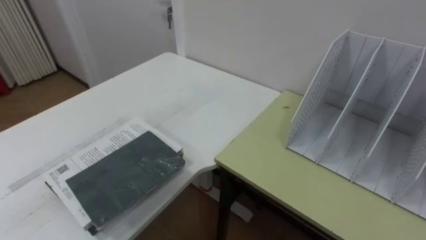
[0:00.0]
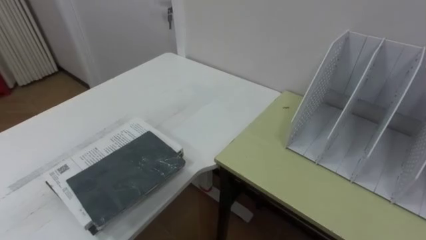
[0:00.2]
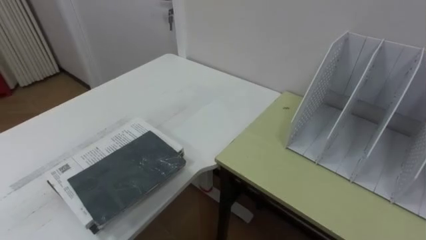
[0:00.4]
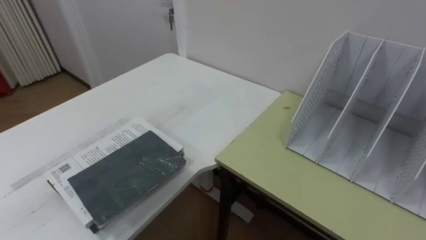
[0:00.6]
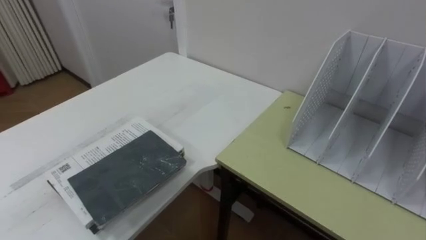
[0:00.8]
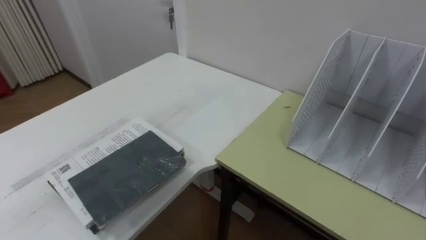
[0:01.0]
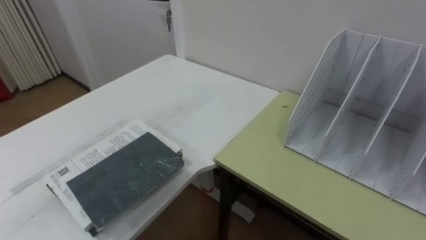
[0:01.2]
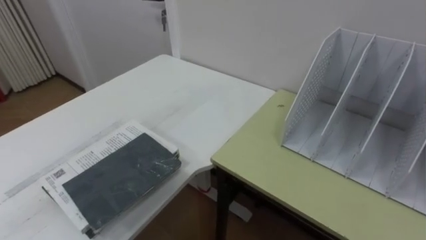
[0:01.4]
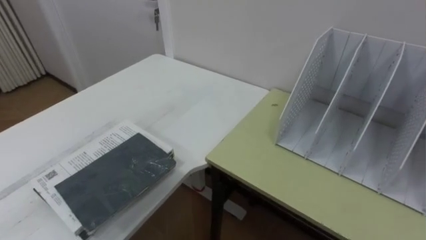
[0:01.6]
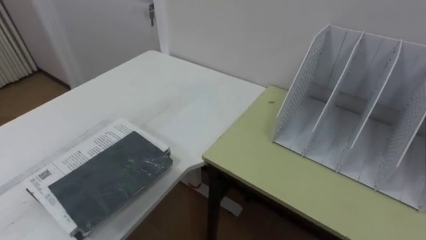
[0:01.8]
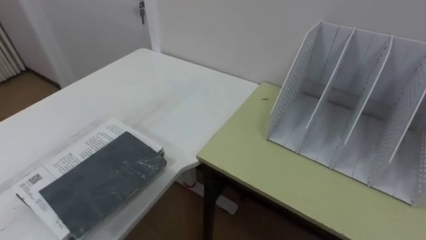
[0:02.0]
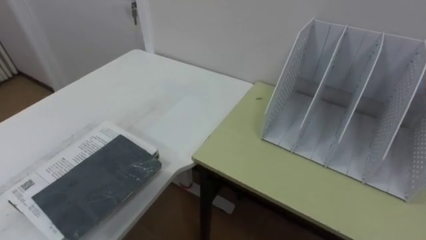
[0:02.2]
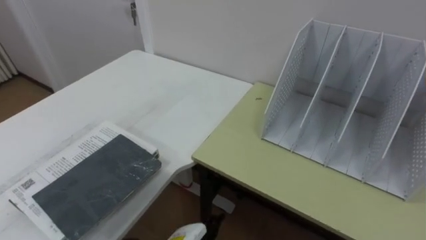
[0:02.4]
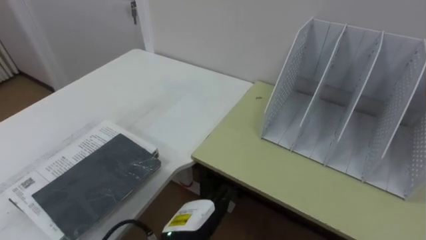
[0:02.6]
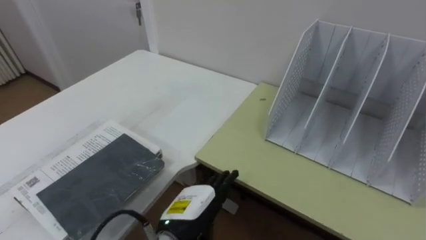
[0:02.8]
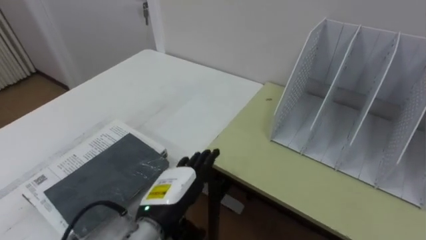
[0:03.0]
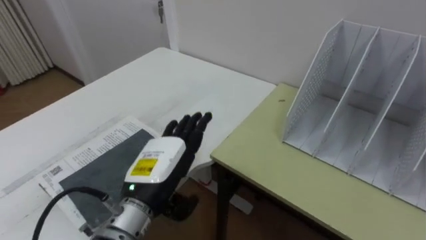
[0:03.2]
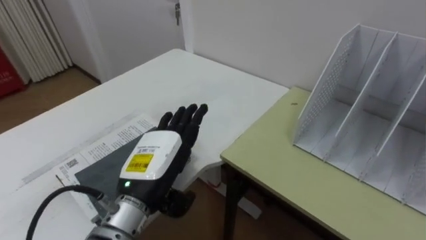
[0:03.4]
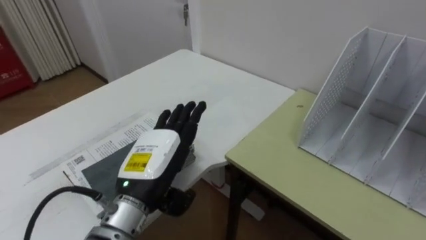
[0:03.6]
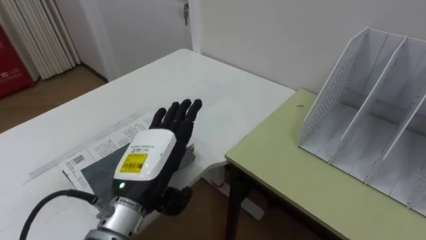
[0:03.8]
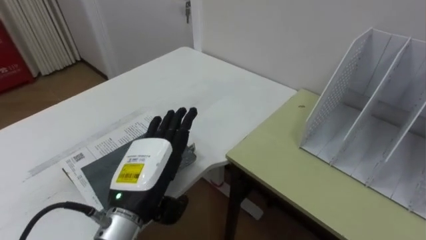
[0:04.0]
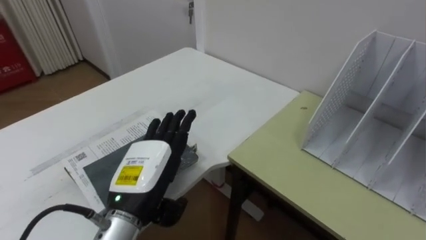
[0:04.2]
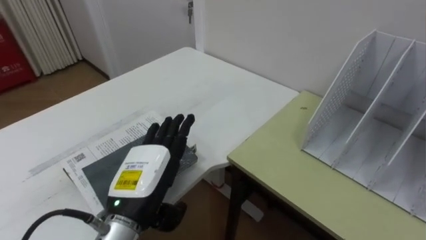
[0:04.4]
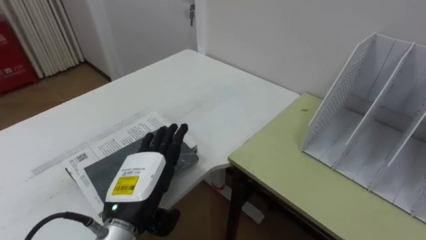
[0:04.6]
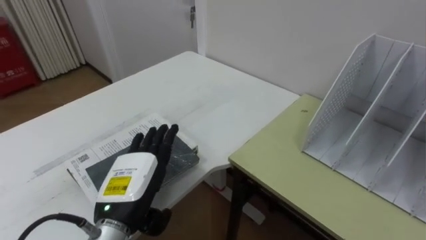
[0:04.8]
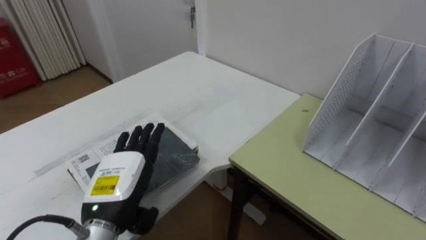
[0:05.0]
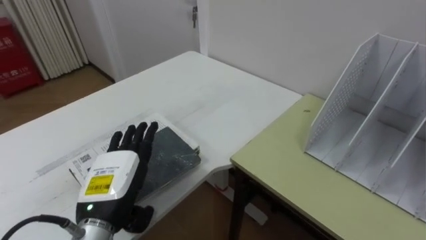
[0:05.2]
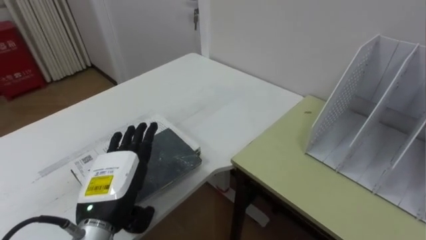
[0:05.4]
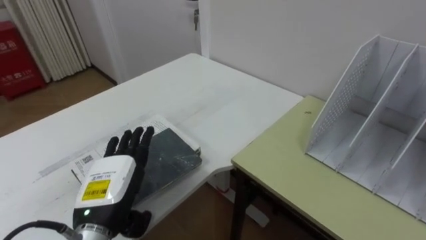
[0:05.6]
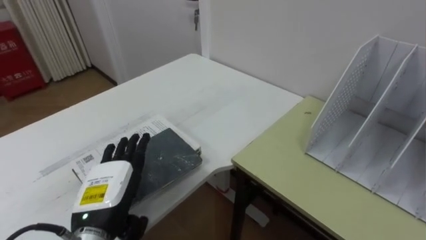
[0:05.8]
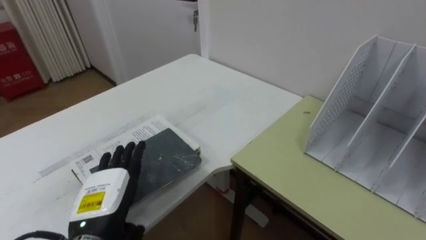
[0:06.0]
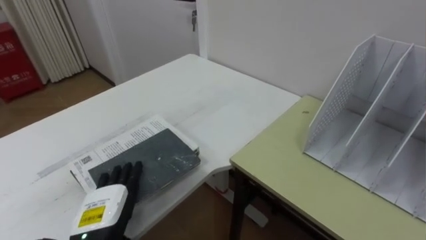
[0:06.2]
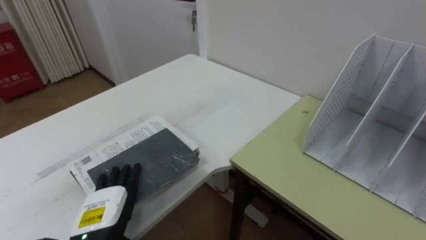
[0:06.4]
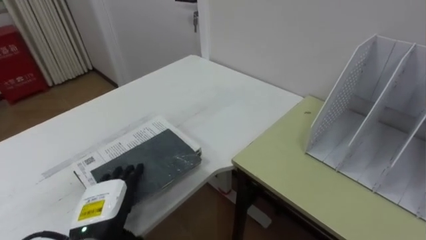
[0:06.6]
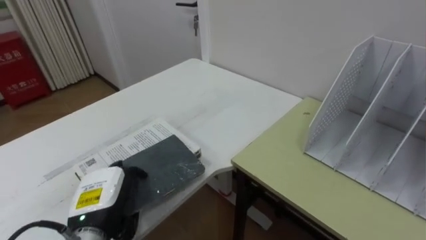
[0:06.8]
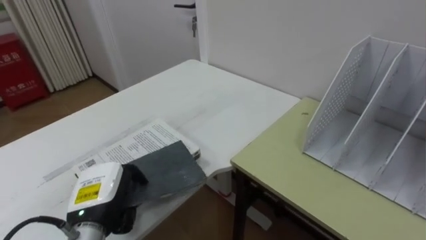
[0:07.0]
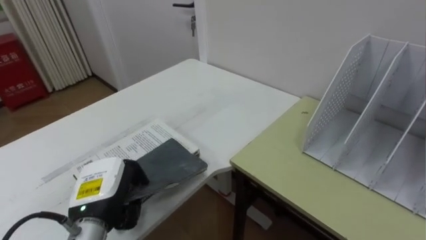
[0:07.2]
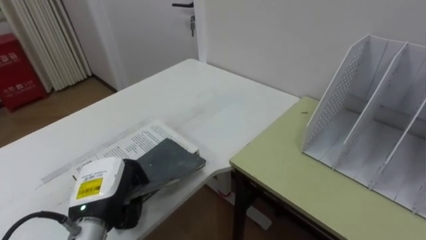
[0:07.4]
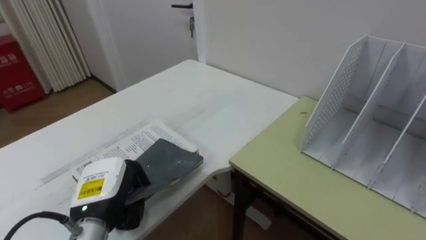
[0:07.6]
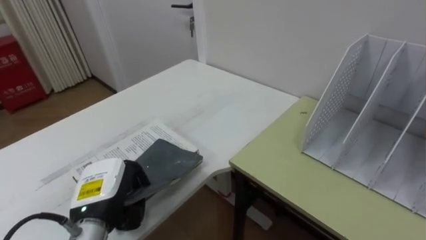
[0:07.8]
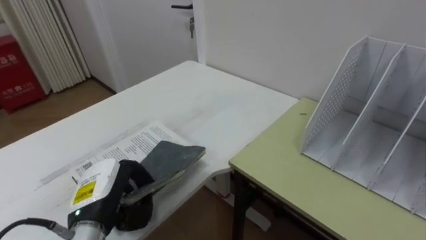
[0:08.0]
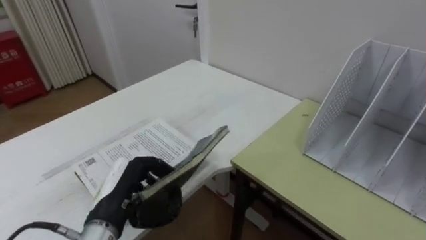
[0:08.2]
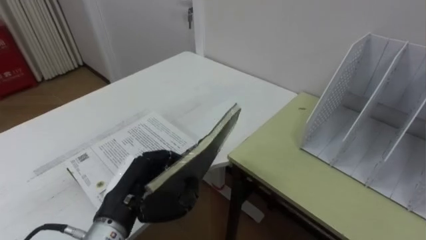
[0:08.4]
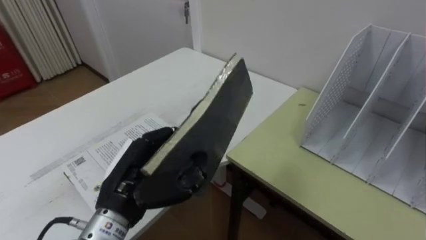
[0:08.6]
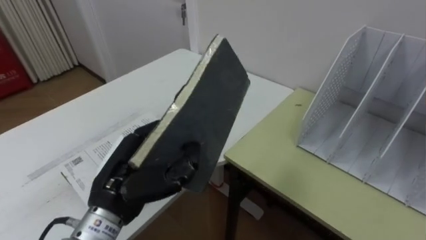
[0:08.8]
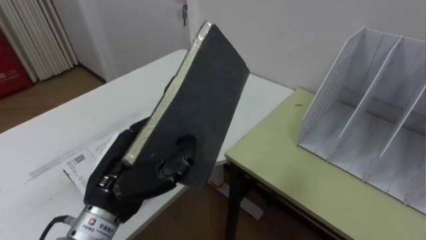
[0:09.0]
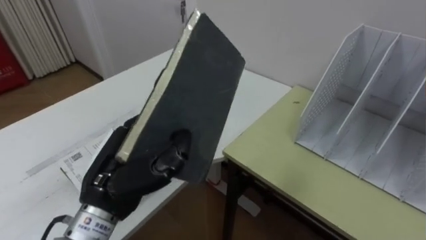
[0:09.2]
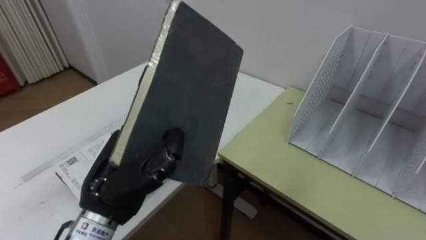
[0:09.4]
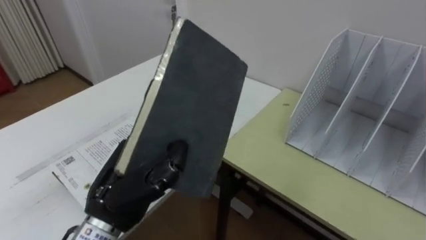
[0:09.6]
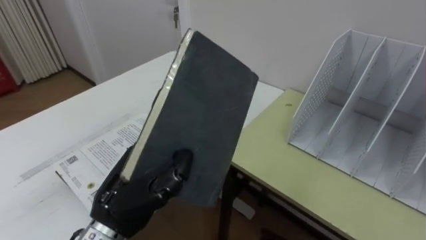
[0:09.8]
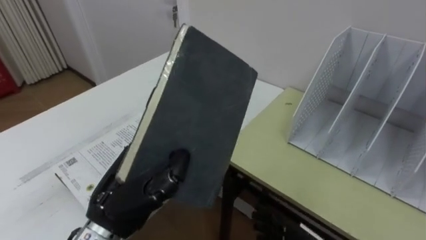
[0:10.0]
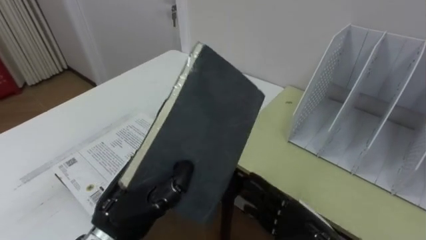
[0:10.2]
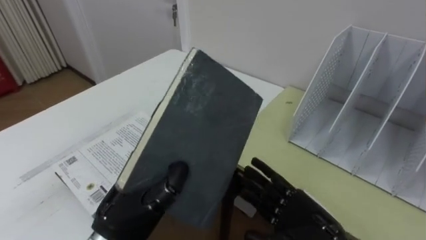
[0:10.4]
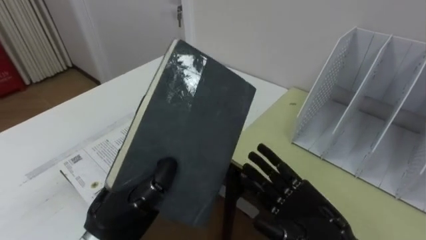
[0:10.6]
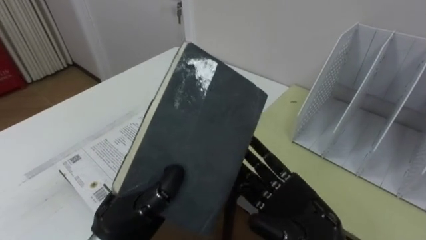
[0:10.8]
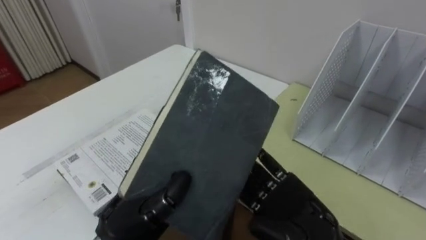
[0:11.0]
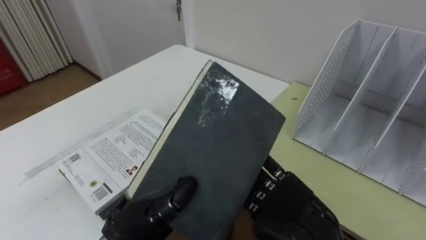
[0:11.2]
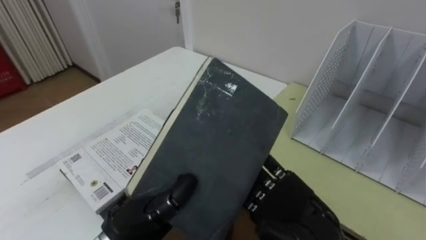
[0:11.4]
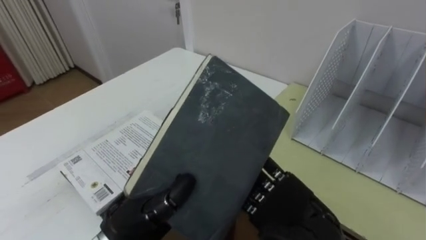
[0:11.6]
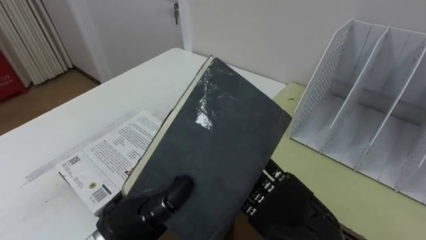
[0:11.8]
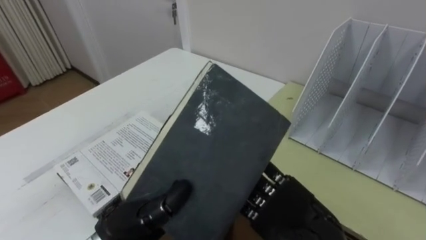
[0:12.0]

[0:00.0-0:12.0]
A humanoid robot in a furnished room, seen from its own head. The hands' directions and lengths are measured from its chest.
Task of the whole recording: Put the books on the table onto the bookshelf.
0:03.0 to 0:04.4: The left hand is displaced upward by roughly 5 cm.
0:04.4 to 0:06.0: The left hand shifts about 5 cm to the left.
0:06.0 to 0:07.6: The left hand closes.
0:07.6 to 0:09.0: The left hand goes about 10 cm upward and to the right.
0:10.4 to 0:12.0: The right hand moves upward, about 10 cm.

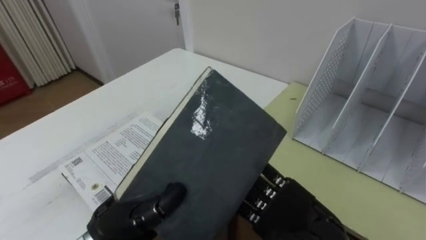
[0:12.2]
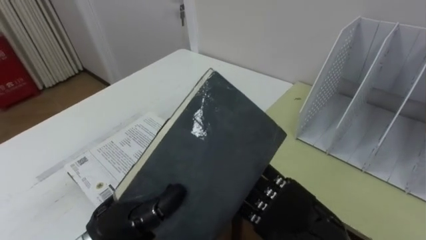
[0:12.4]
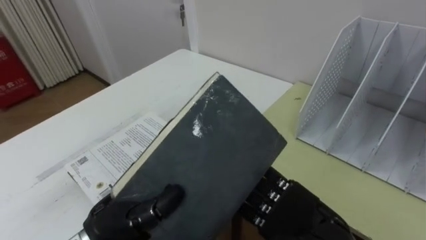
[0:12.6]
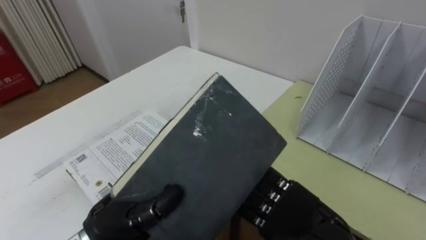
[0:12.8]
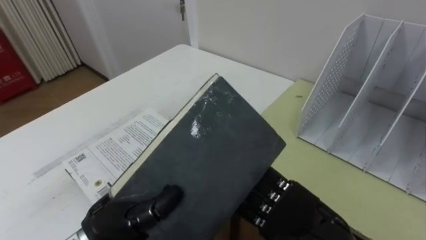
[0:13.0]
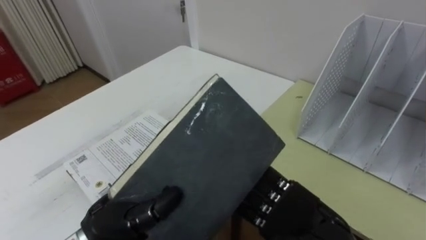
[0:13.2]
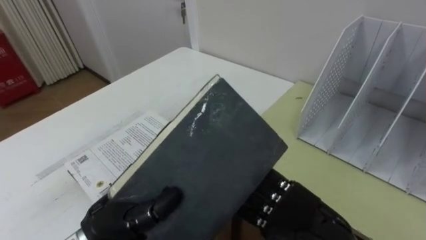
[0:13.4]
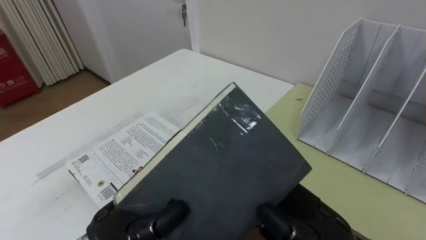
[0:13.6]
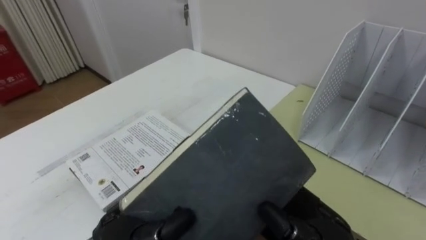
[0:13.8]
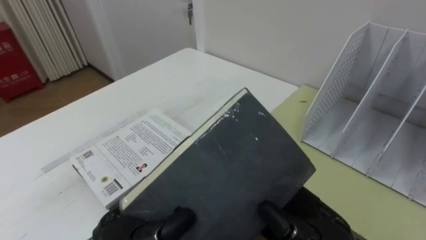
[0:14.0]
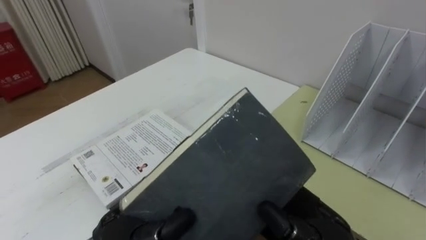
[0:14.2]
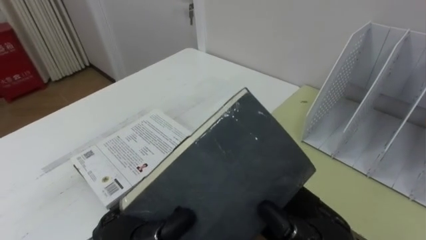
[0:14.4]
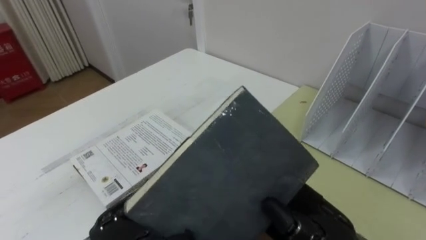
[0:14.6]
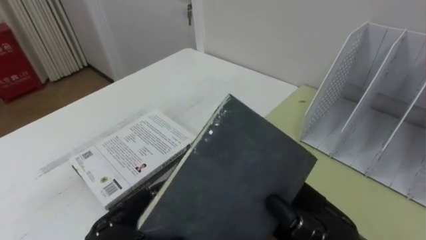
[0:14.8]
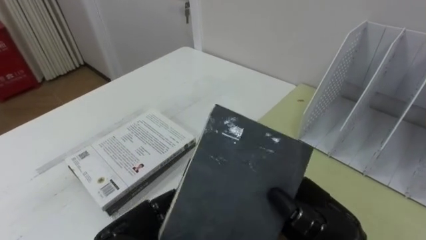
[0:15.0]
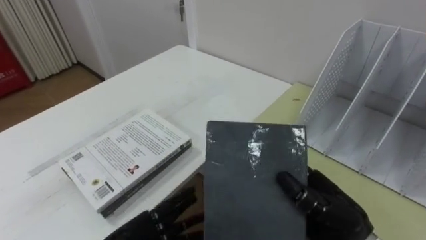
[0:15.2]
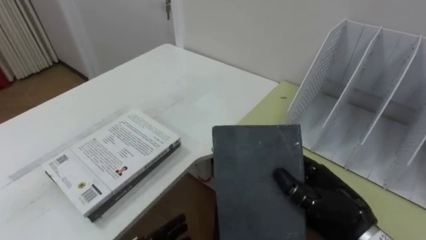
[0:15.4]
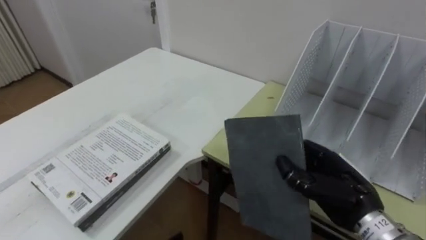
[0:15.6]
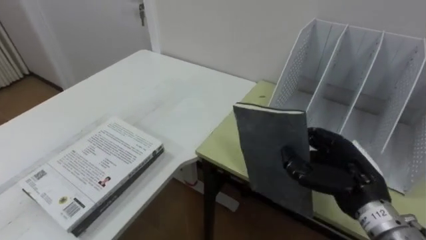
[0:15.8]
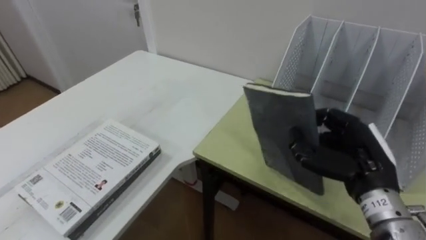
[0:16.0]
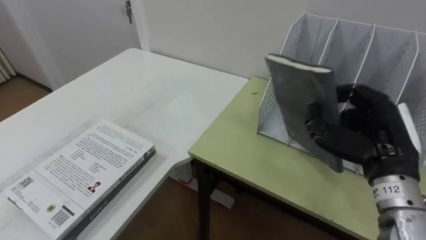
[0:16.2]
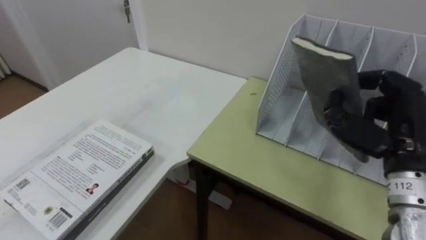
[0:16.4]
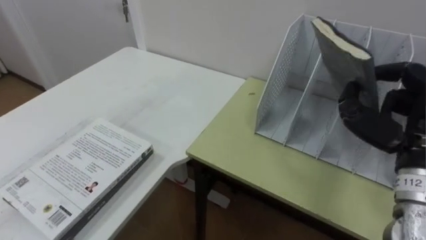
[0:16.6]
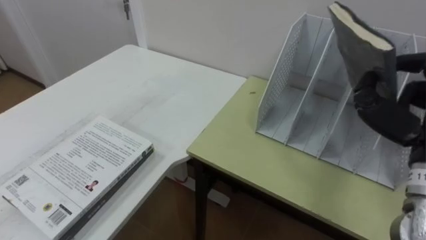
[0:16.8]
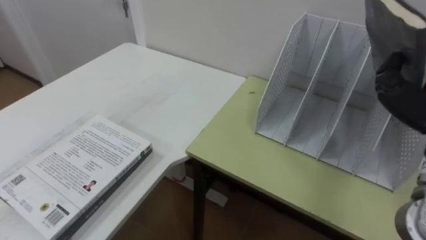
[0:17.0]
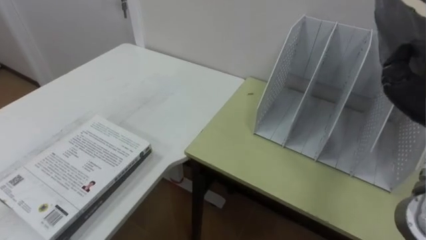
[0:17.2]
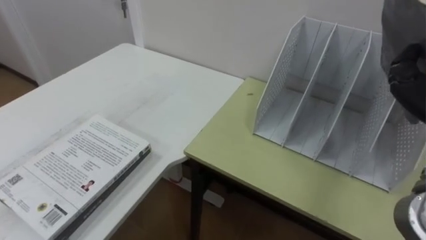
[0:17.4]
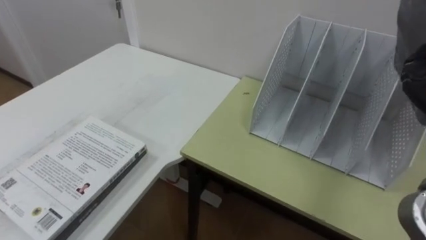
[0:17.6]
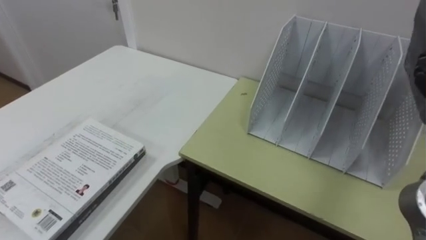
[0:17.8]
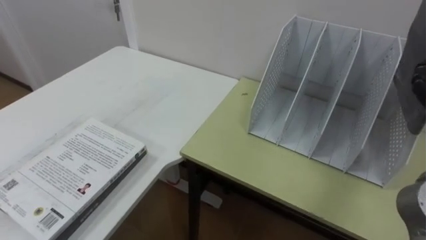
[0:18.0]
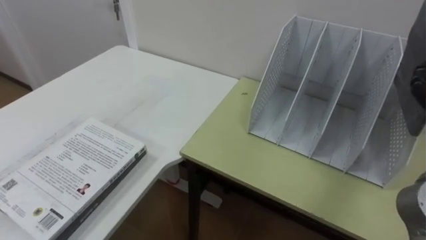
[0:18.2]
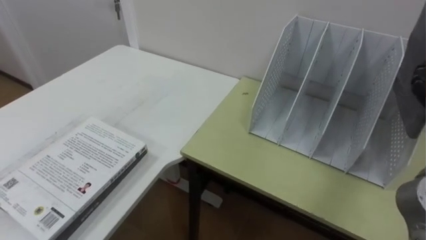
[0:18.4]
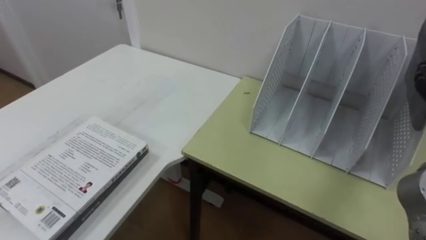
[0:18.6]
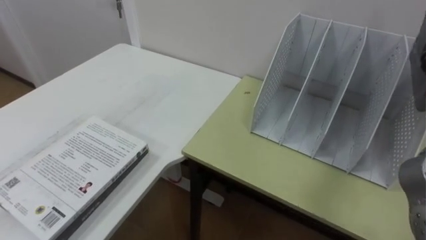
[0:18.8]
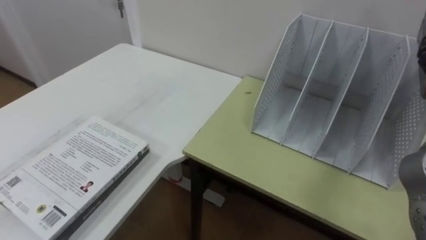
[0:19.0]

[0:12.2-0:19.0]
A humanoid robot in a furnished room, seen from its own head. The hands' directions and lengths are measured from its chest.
Task of the whole recording: Put the books on the table onto the bookshelf.
0:12.2 to 0:13.6: The right hand closes up.
0:13.6 to 0:15.0: The left hand travels downward by approximately 5 cm, and opens its fingers.
0:15.0 to 0:16.2: The right hand is displaced to the right, forward and upward by some 15 cm.
